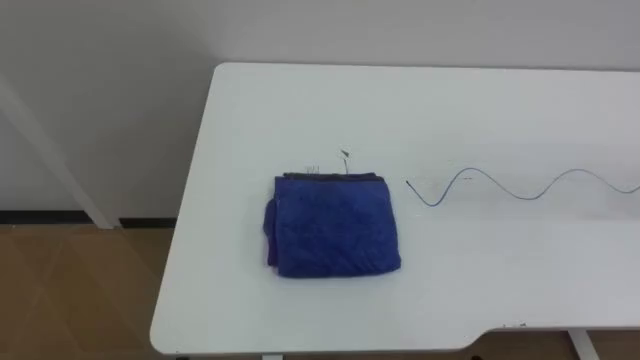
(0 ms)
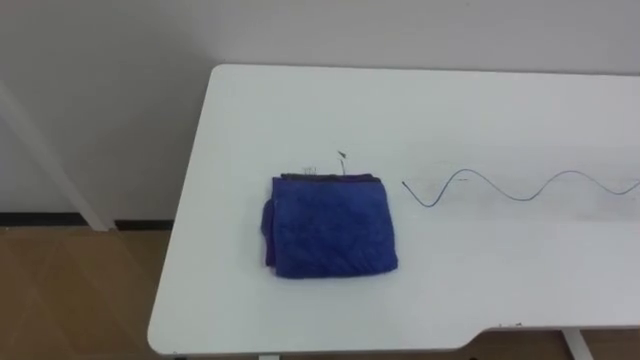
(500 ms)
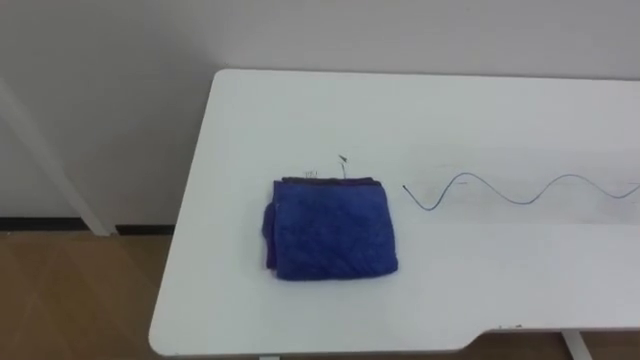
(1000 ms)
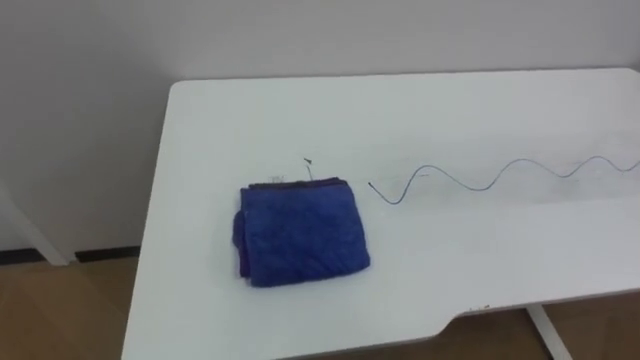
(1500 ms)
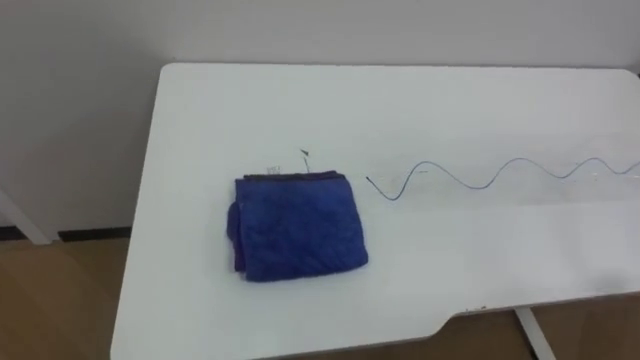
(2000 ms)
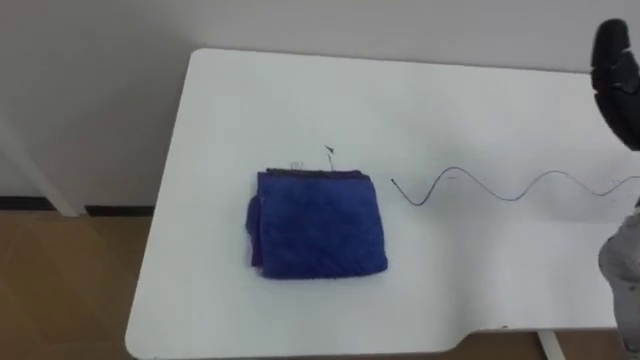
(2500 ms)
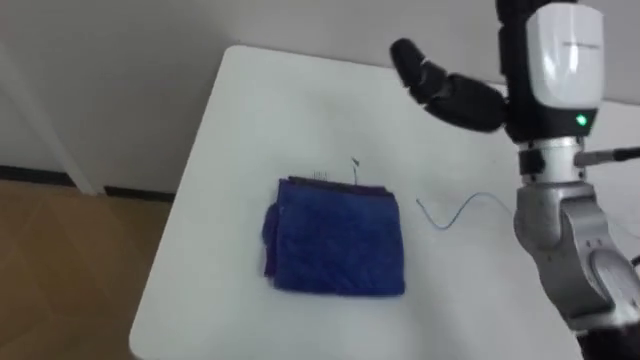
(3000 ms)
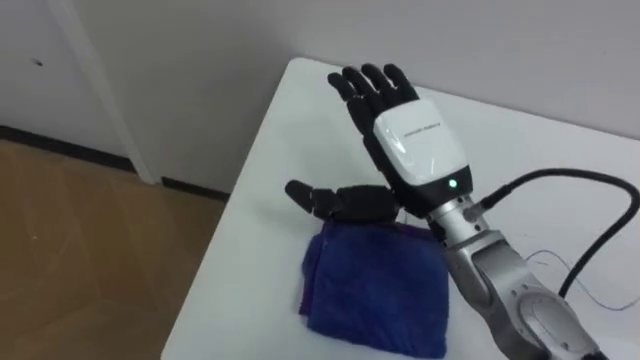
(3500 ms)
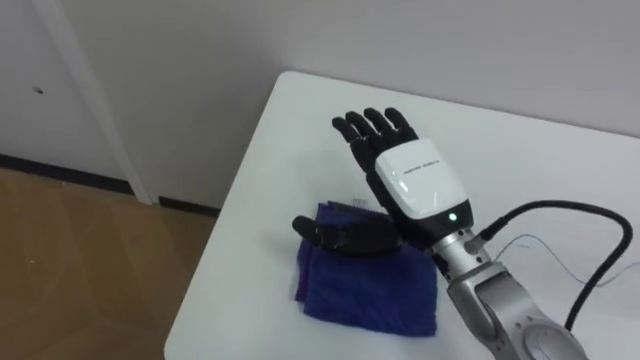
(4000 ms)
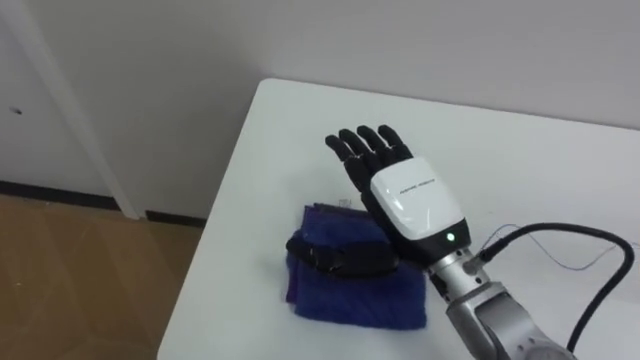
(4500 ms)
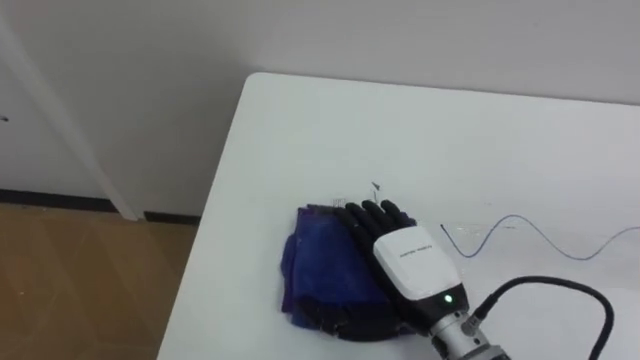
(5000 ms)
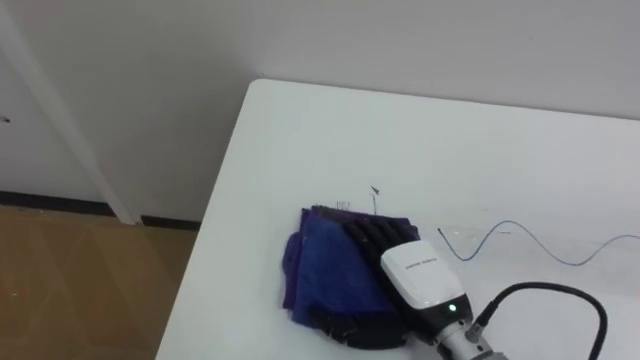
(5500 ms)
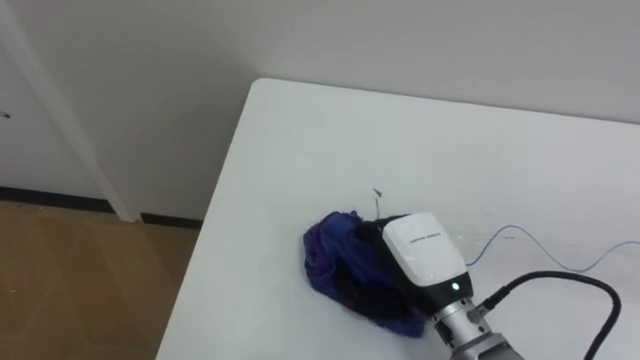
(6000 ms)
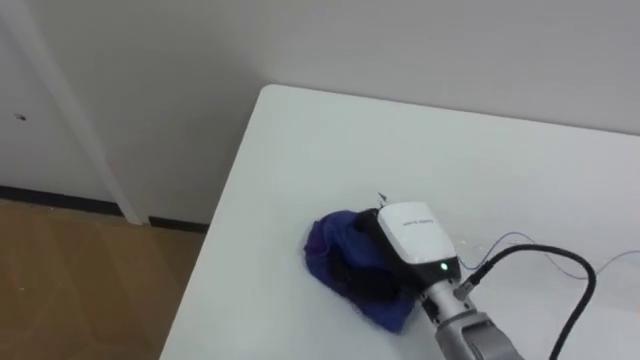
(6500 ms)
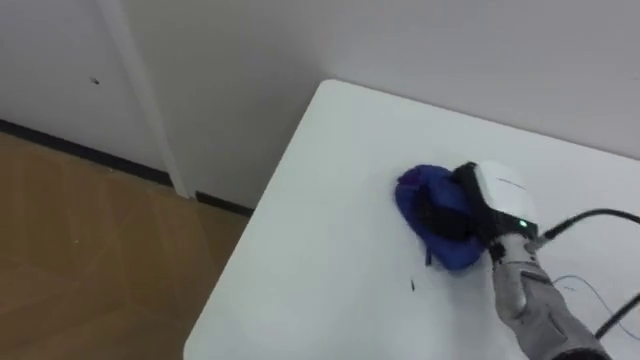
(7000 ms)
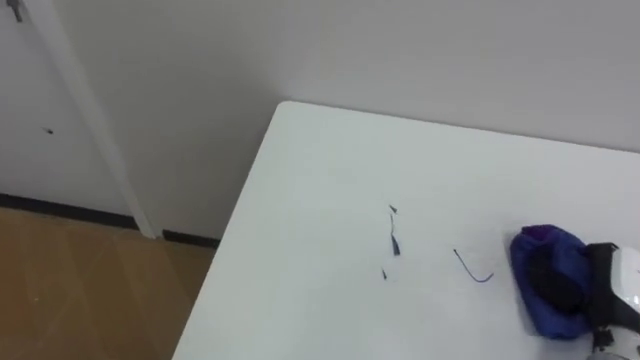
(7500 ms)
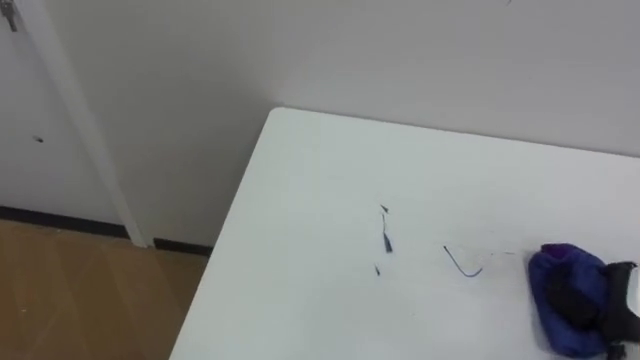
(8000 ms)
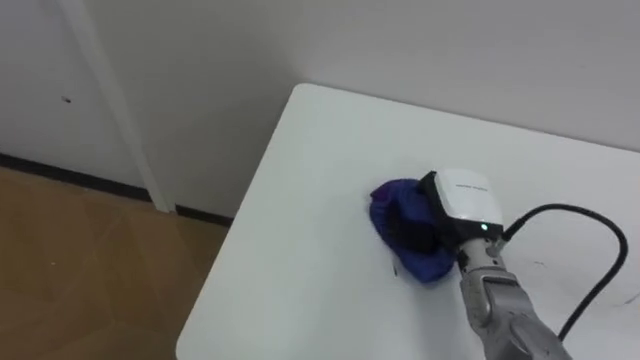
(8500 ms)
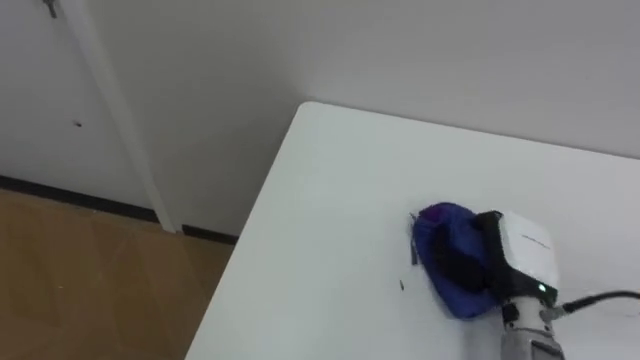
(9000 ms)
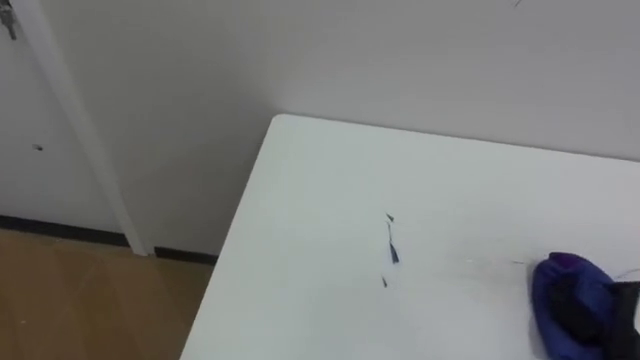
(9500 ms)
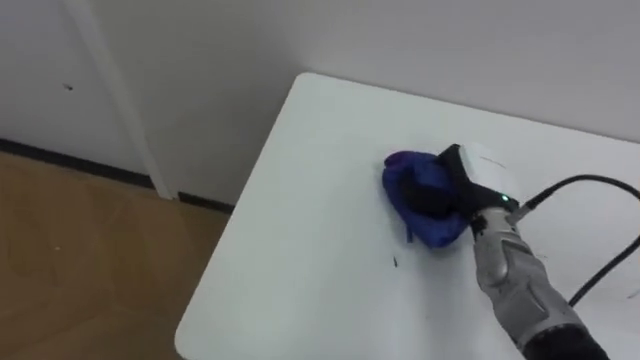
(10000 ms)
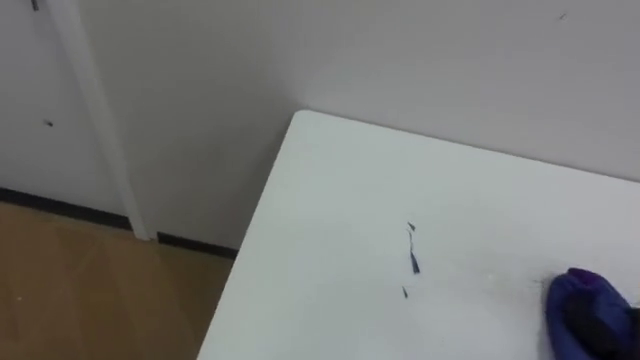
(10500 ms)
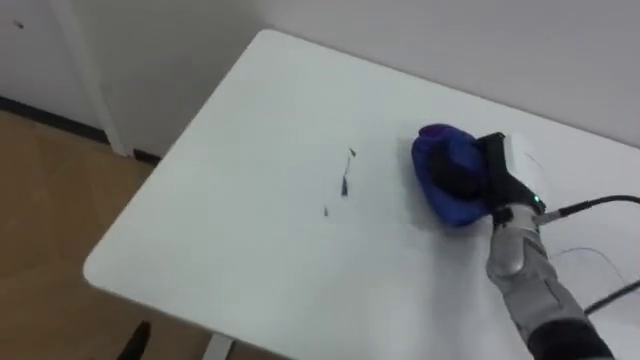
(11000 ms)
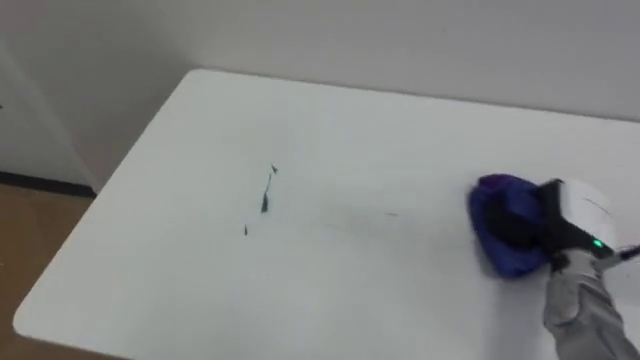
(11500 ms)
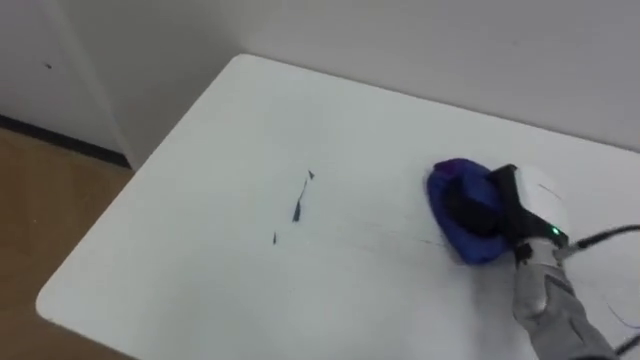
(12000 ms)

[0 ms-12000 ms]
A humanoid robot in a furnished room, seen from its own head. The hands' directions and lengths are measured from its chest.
Task of the whole recording: Wipe the blue pen marks off the table with the rag.
4000 ms to 6000 ms: The right hand shifts roughly 10 cm downward and backward, and closes up.
6000 ms to 8000 ms: The right hand travels to the right by about 25 cm.
8000 ms to 10000 ms: The right hand swings left and right, some 20 cm each way, with 2 reversals.
10000 ms to 12000 ms: The right hand goes forward and backward, roughly 20 cm each way, reversing 3 times.

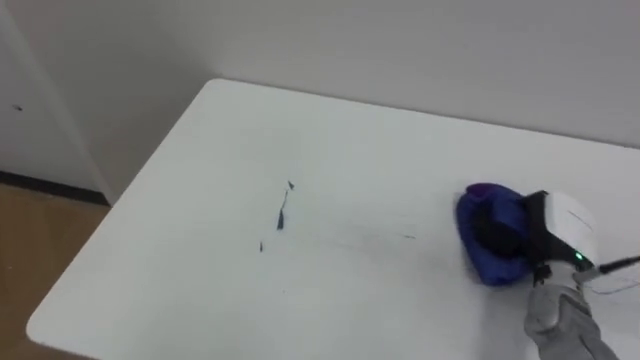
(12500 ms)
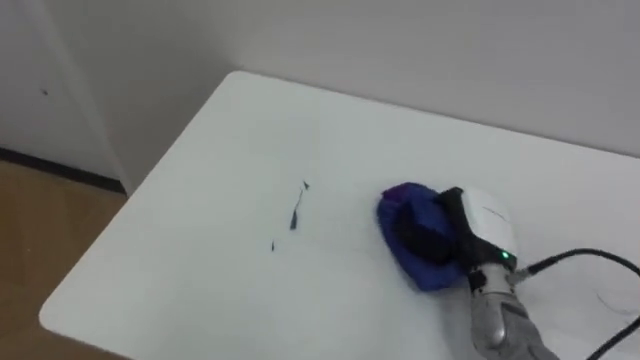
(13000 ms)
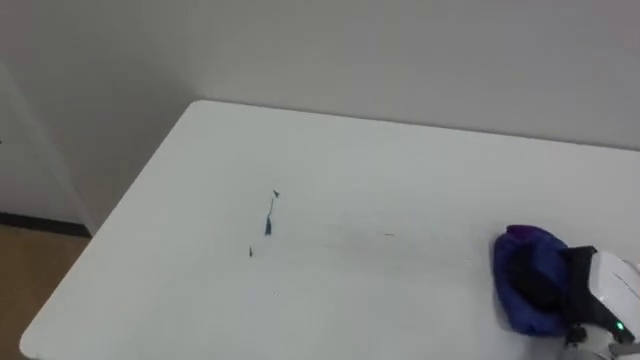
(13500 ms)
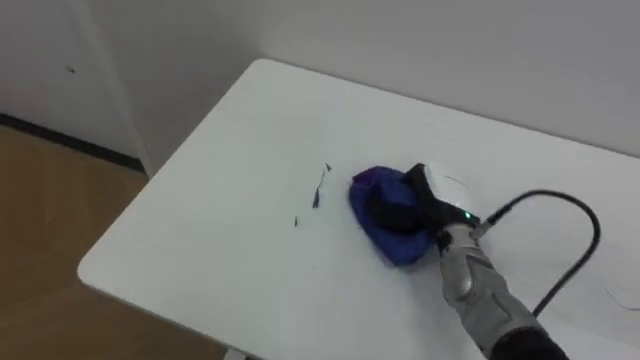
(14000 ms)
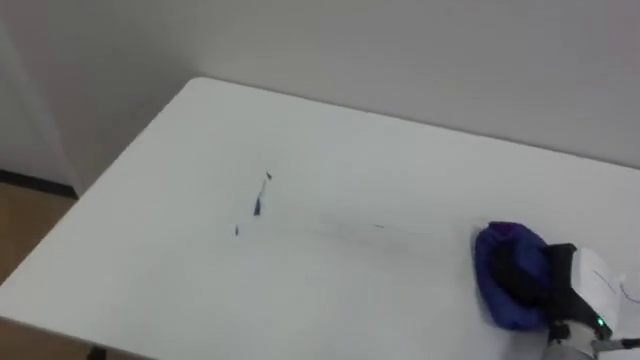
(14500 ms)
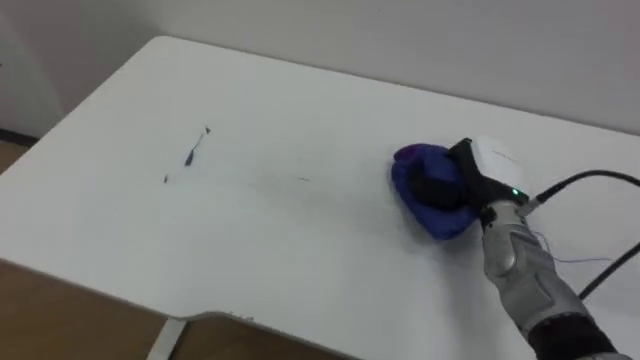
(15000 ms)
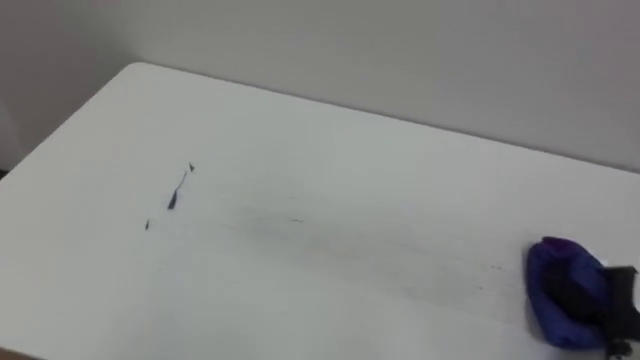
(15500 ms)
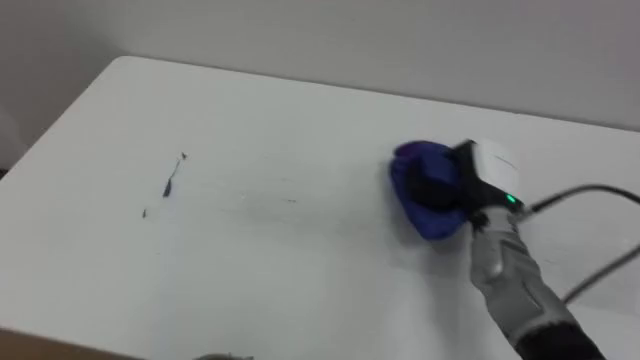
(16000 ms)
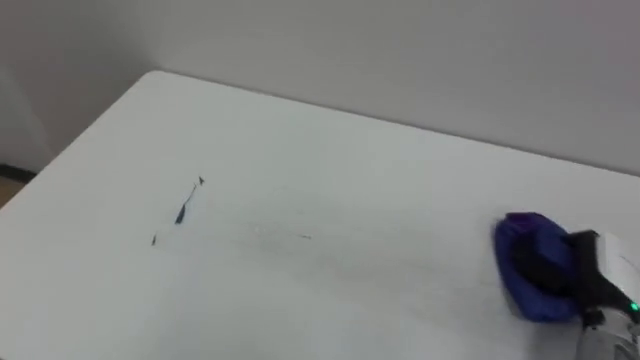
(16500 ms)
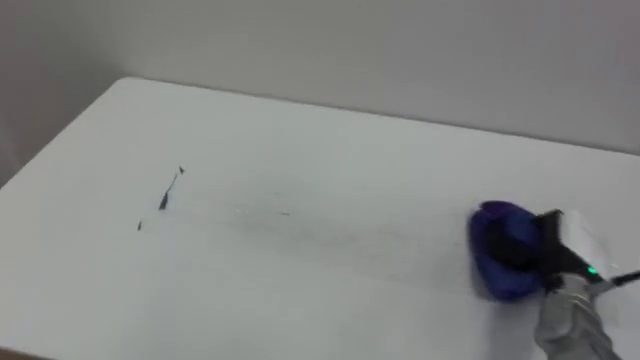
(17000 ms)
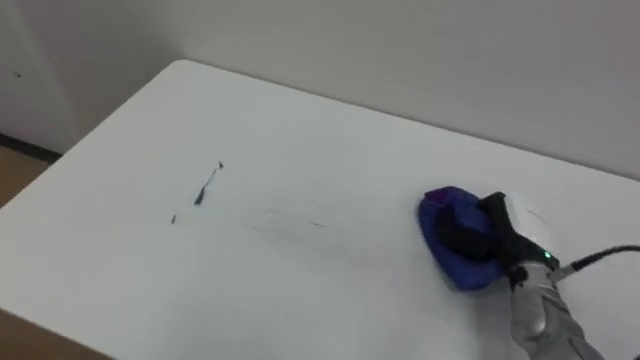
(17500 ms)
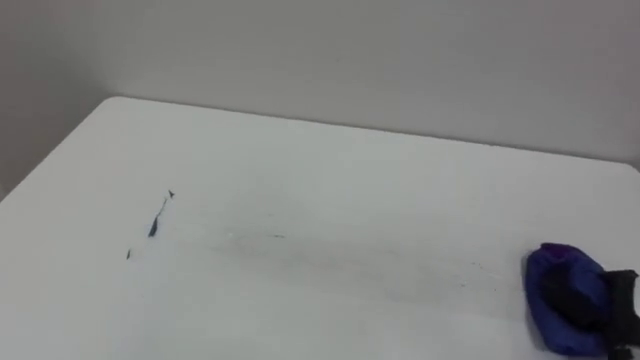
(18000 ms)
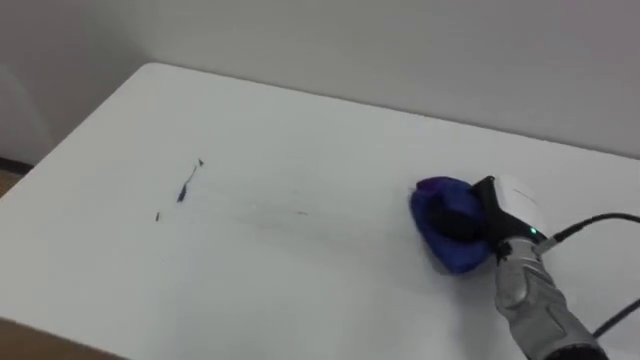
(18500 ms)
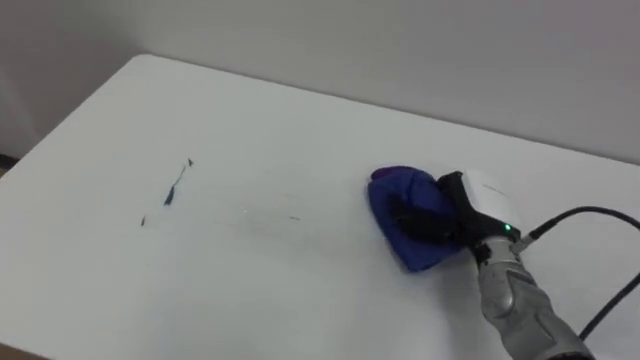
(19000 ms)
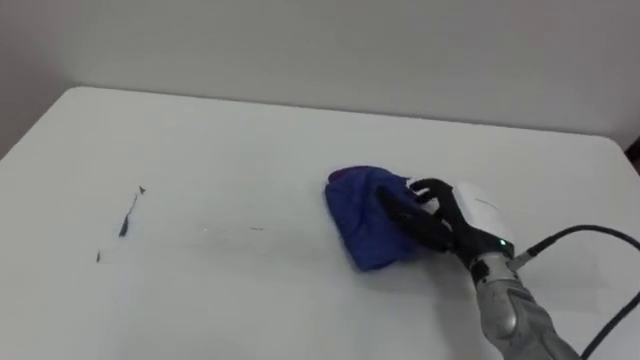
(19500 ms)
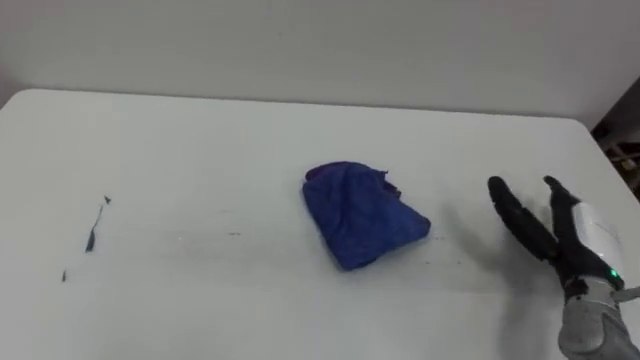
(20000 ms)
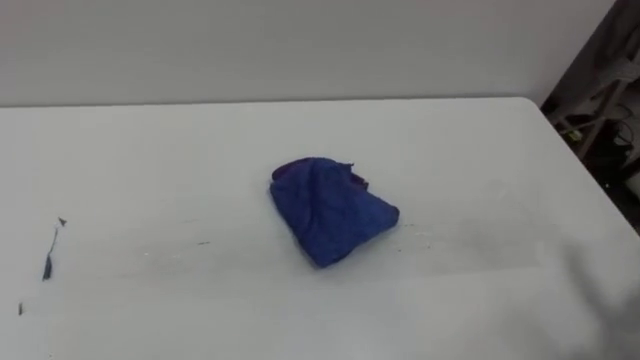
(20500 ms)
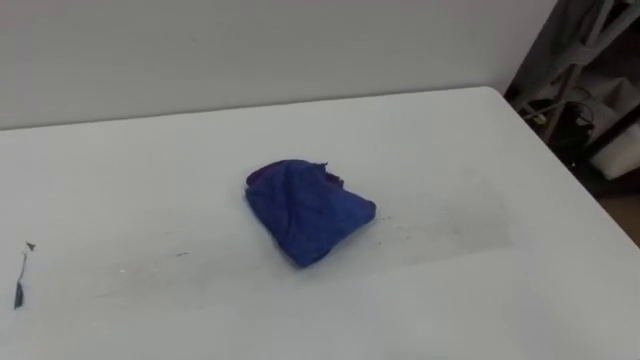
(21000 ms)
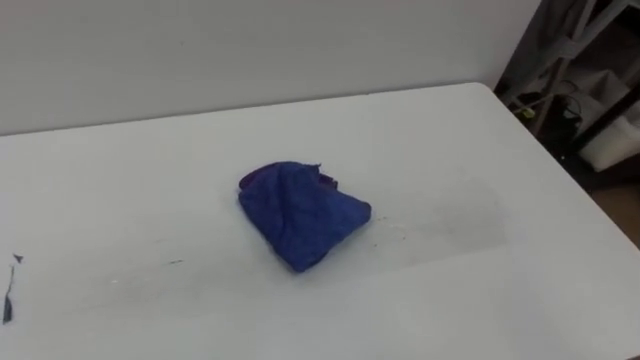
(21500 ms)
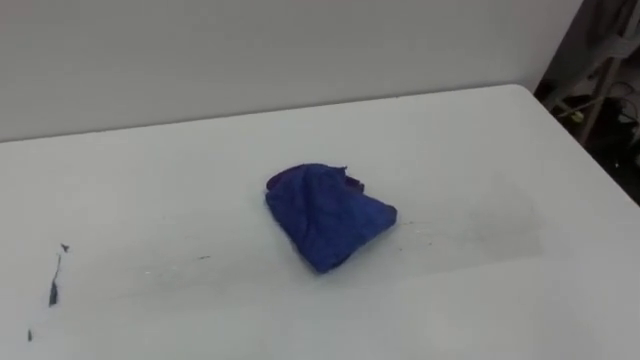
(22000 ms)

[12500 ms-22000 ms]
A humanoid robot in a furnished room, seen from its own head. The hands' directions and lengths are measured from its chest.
Task of the whole recording: Wipe the blue pen marks off the table with the rag.
12500 ms to 14500 ms: The right hand goes left and right, some 20 cm each way, reversing 3 times.
18000 ms to 20000 ms: The right hand moves forward, to the left and upward, some 15 cm, and opens its fingers.
